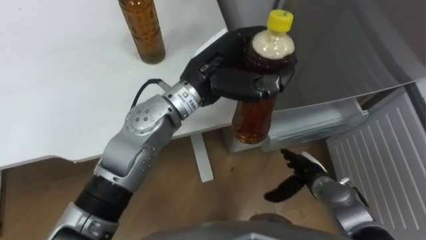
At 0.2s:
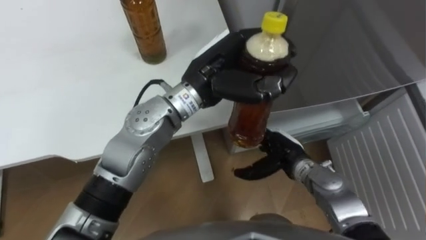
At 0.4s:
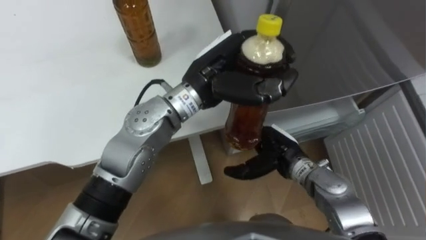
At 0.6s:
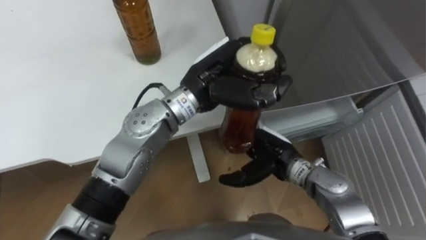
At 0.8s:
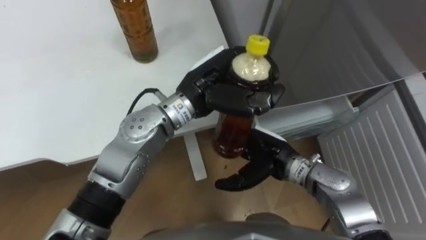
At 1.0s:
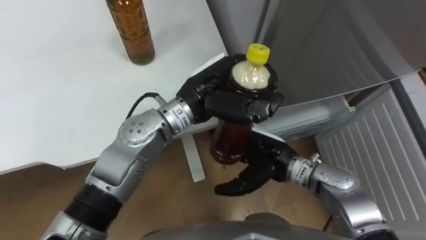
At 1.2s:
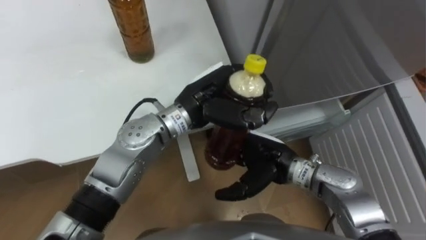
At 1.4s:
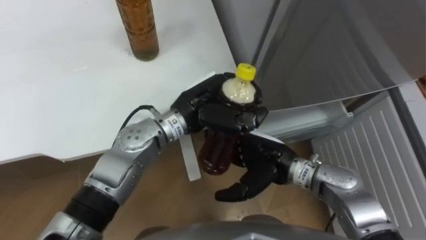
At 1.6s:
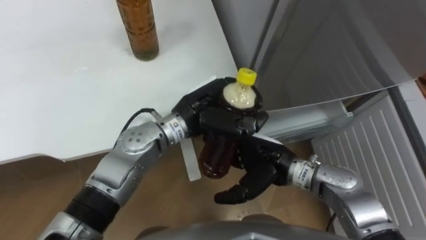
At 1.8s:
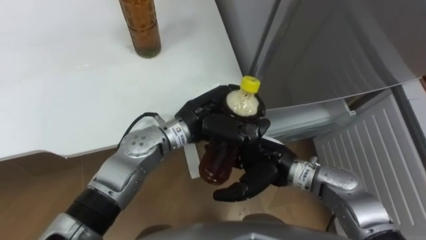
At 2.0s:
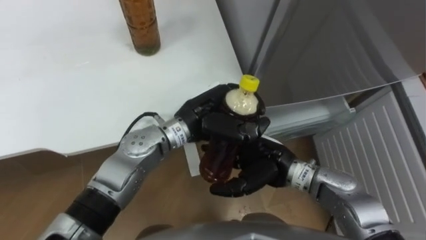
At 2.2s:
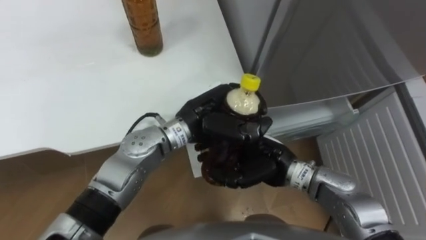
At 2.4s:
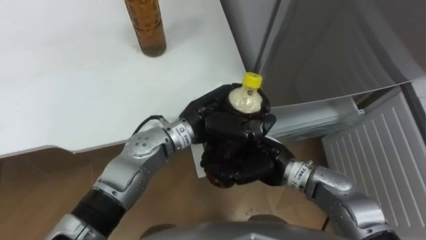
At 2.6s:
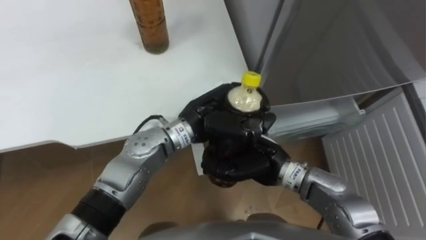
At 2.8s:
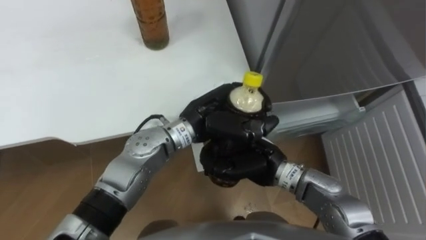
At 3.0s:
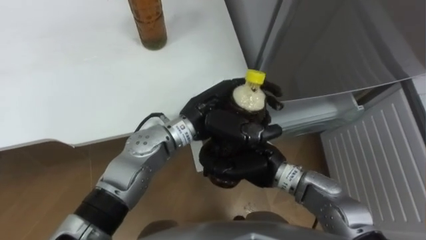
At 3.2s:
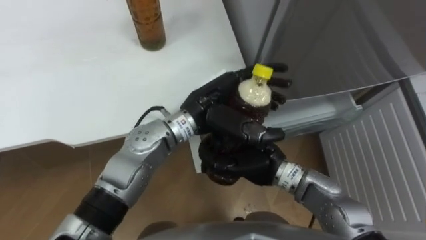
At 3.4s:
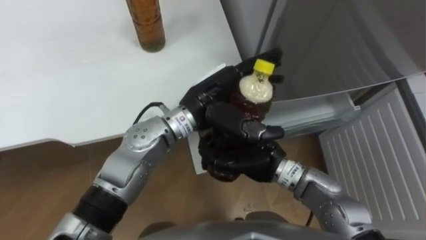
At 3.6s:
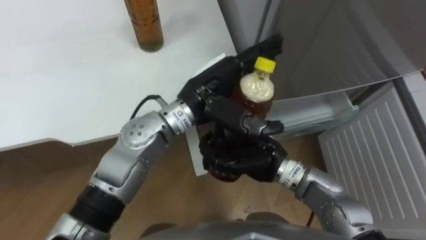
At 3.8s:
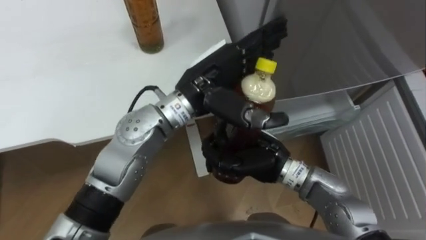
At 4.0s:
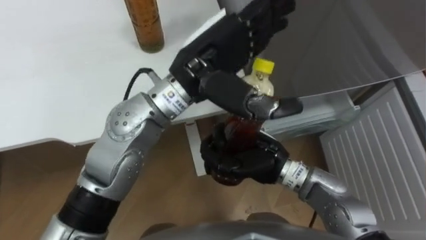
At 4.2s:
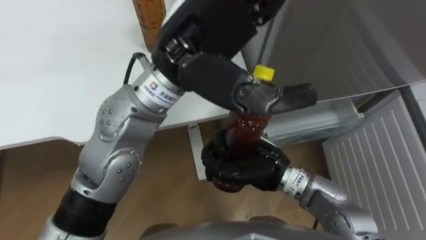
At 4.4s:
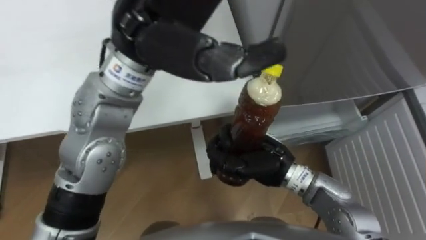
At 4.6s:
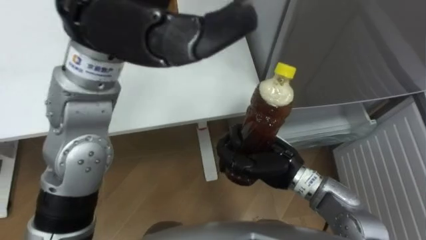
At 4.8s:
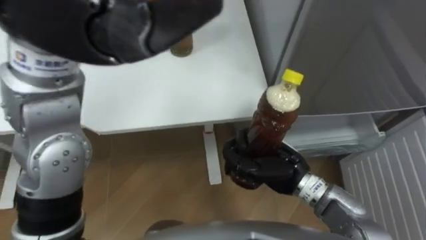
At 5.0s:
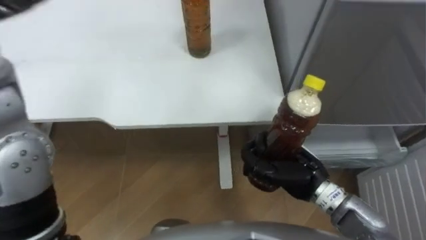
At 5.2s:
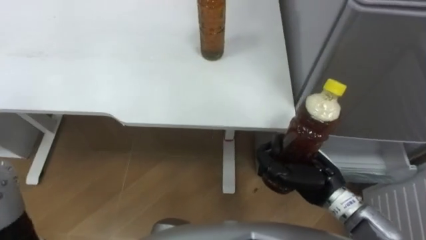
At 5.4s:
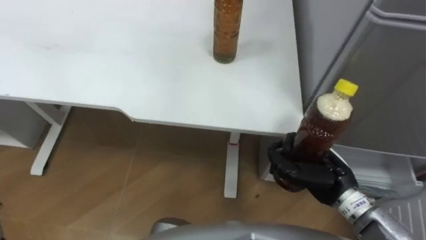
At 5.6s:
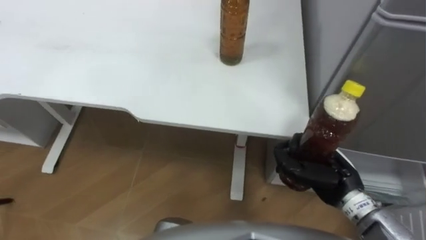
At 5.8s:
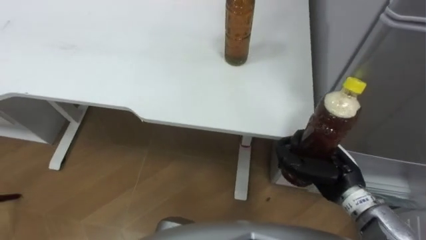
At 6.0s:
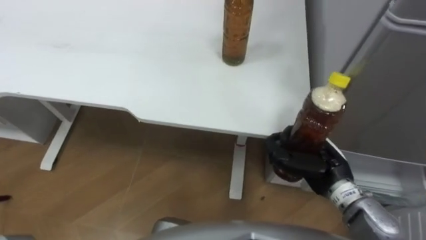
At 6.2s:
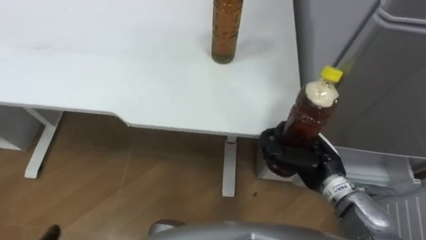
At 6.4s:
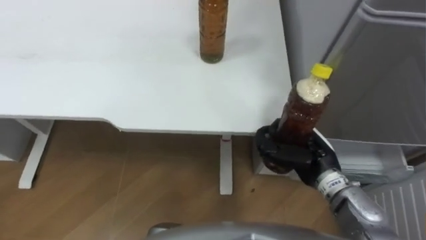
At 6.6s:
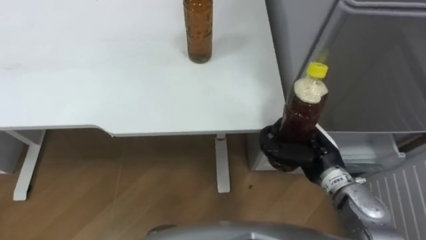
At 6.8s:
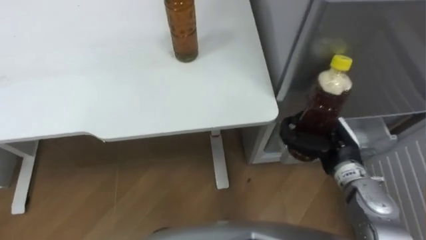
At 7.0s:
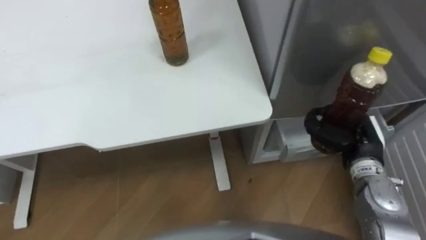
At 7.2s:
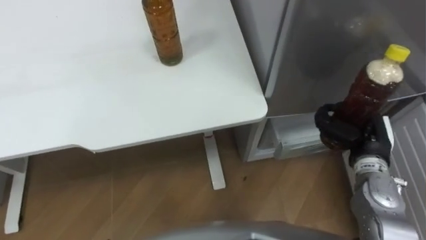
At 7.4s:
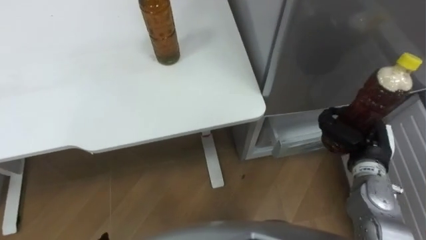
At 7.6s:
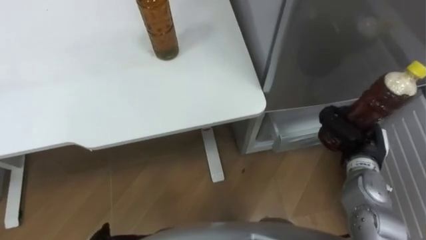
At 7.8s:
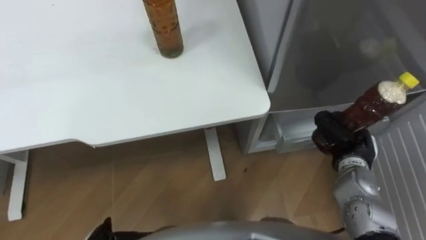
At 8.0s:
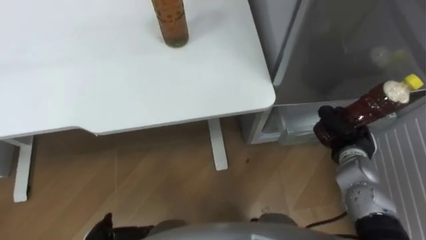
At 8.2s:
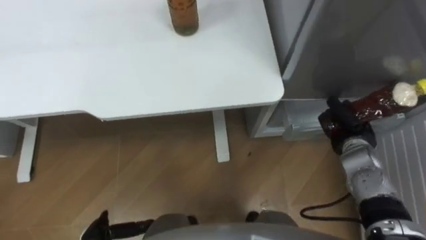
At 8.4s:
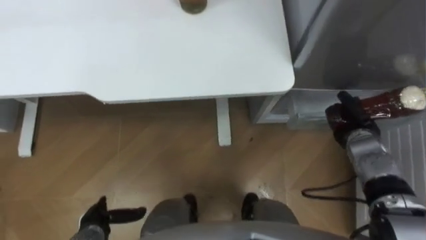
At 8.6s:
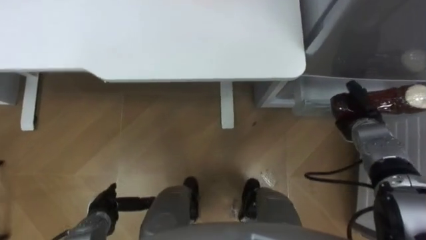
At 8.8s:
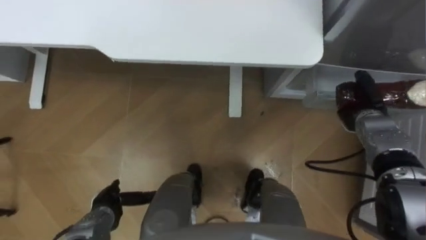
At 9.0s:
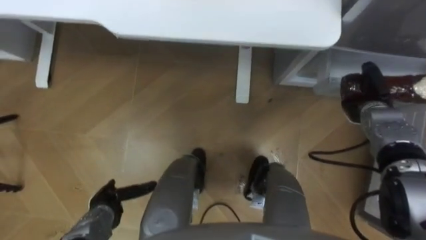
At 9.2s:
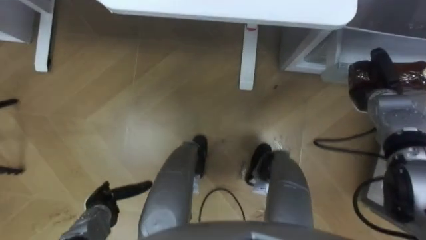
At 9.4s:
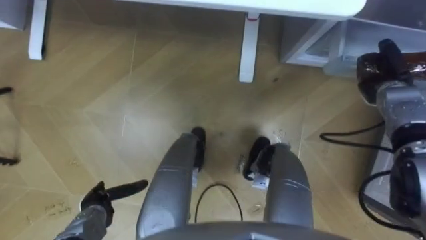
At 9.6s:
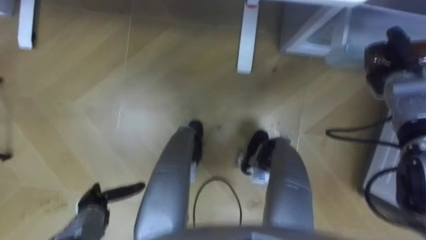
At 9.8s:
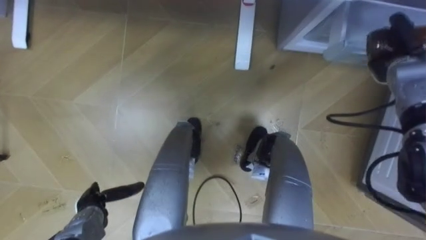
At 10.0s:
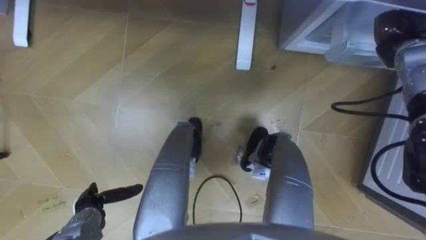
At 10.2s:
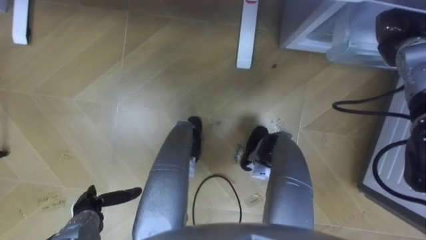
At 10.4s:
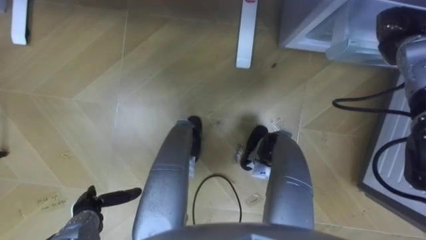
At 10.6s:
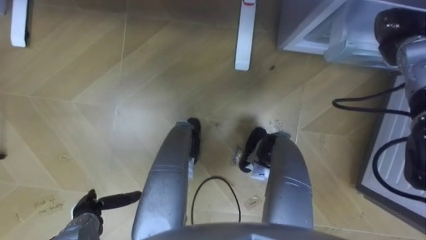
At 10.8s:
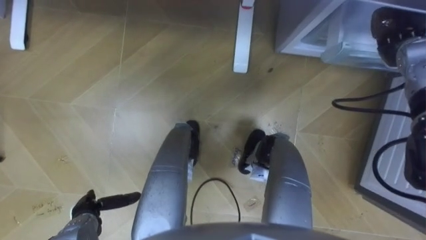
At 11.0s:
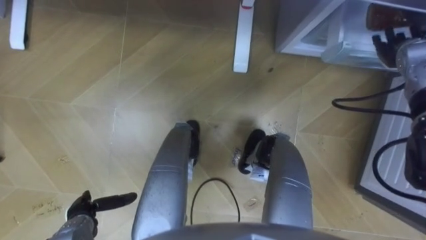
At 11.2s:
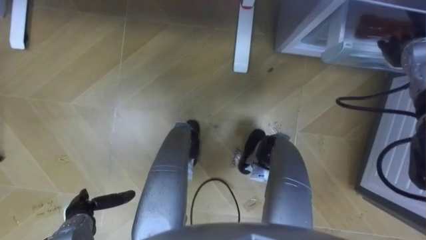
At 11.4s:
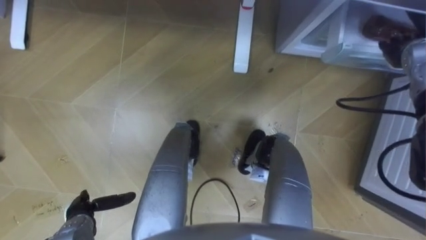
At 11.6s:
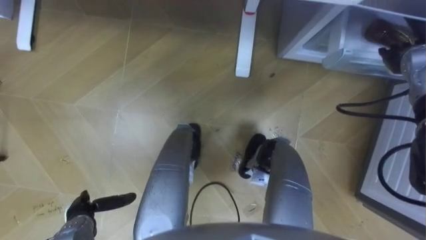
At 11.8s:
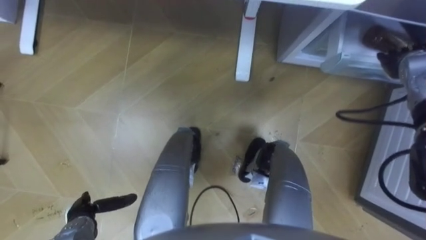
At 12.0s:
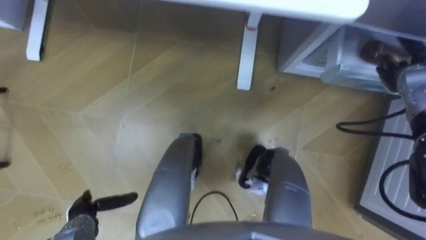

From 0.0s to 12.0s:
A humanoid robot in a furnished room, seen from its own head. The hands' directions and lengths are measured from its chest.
Task of the whole recording: Place the drink on the table on the bottom shelf of the refrigerator, then close the drawer and the refrigerator door.
From 0.0s to 1.6s: The right hand heads to the left and upward, covering some 15 cm; the left hand goes about 10 cm downward.
From 1.6s to 3.0s: The left hand opens its fingers; the right hand closes.
From 3.0s to 4.4s: The left hand is displaced upward by approximately 20 cm, and opens its fingers.
From 4.4s to 6.0s: The right hand moves to the right, some 10 cm.
From 6.0s to 7.6s: The right hand is displaced to the right by about 10 cm.
From 7.6s to 9.0s: The right hand moves forward, approximately 10 cm.
From 9.0s to 10.4s: The right hand is displaced upward and forward by about 15 cm.
From 10.4s to 12.0s: The right hand ends up about 5 cm from where it was, and opens.

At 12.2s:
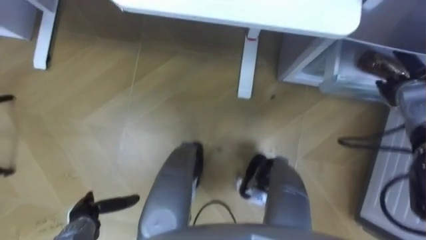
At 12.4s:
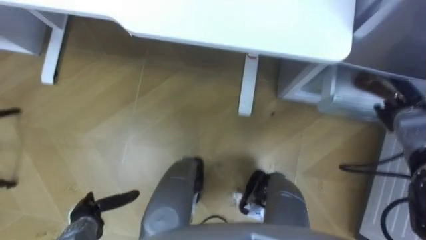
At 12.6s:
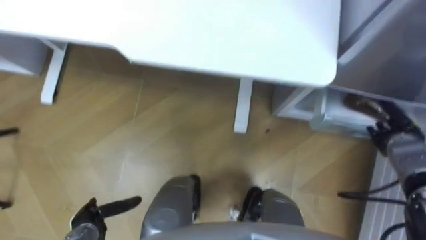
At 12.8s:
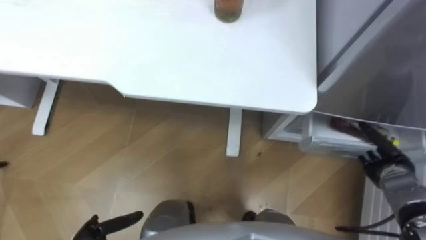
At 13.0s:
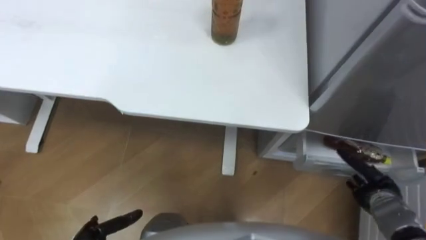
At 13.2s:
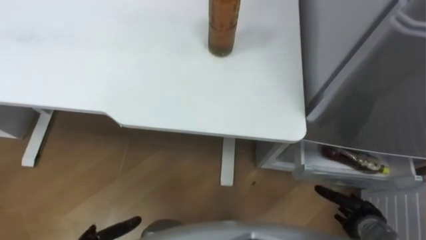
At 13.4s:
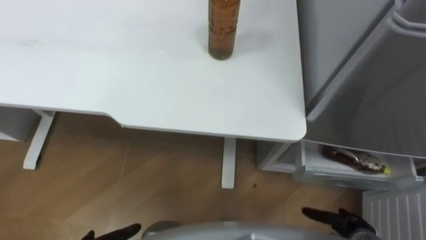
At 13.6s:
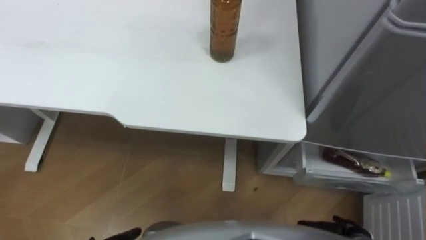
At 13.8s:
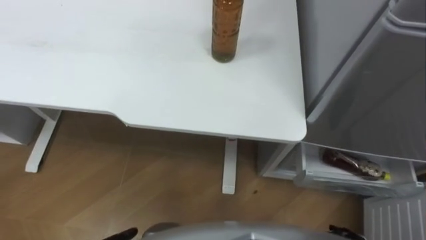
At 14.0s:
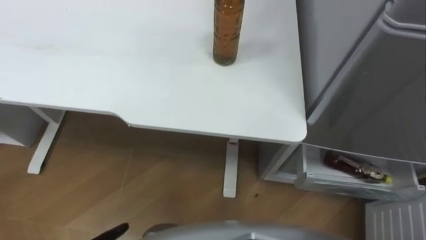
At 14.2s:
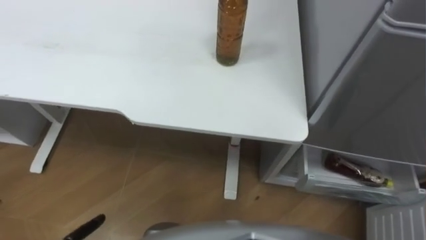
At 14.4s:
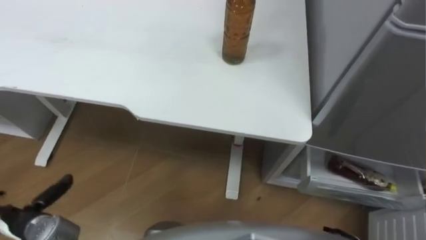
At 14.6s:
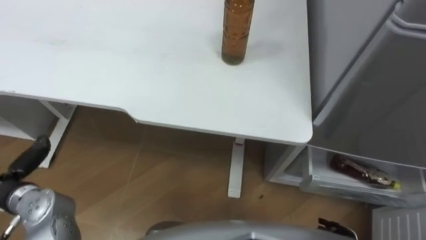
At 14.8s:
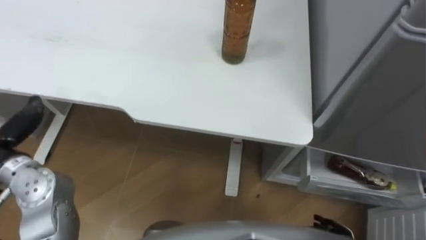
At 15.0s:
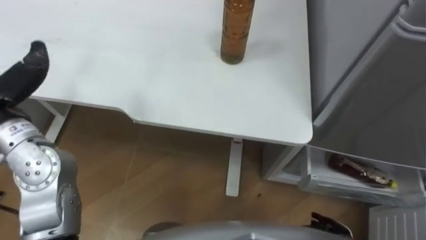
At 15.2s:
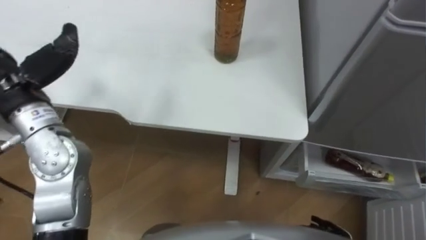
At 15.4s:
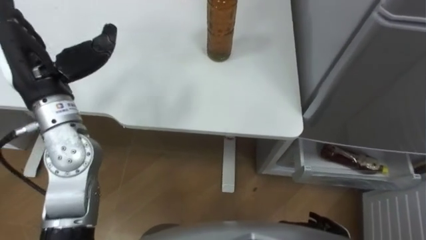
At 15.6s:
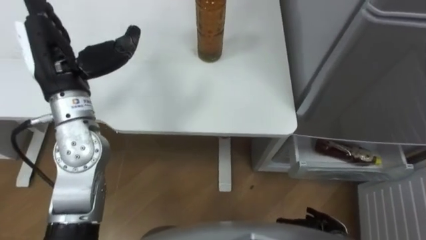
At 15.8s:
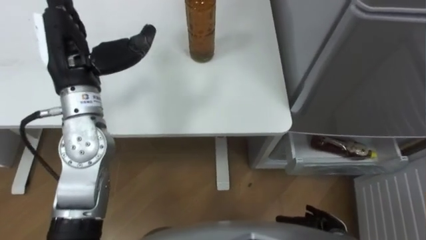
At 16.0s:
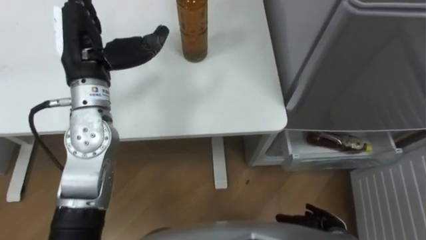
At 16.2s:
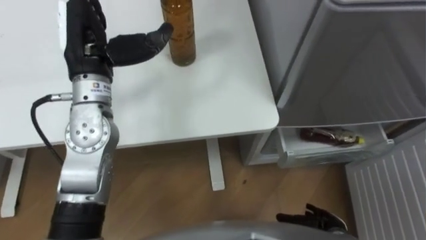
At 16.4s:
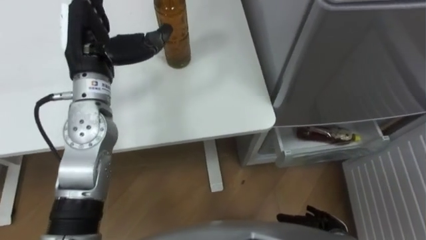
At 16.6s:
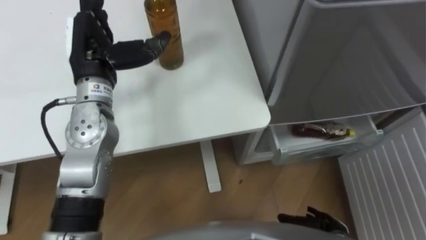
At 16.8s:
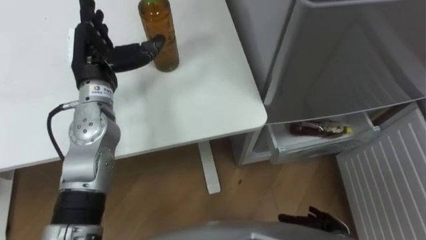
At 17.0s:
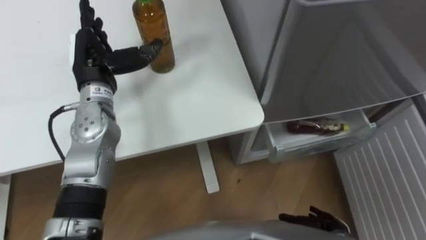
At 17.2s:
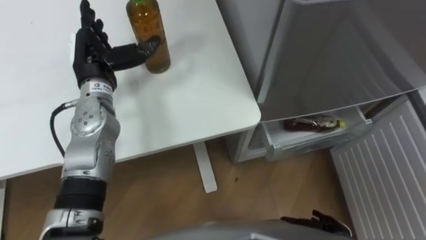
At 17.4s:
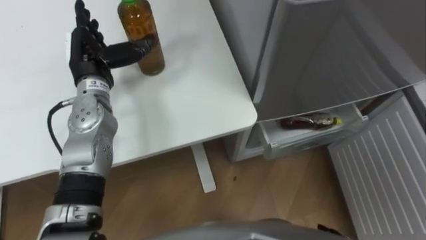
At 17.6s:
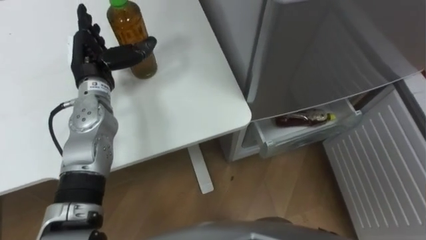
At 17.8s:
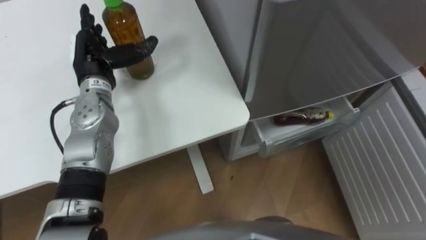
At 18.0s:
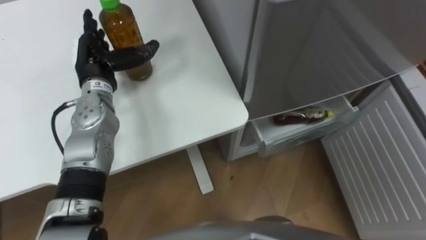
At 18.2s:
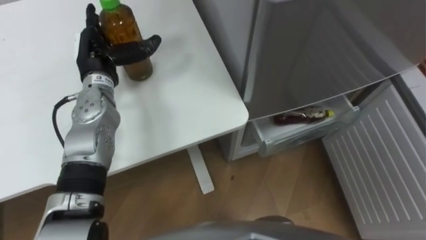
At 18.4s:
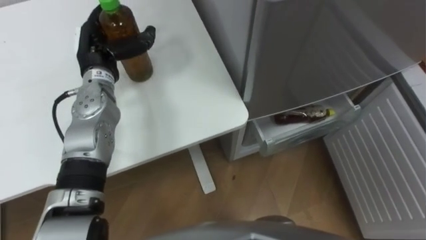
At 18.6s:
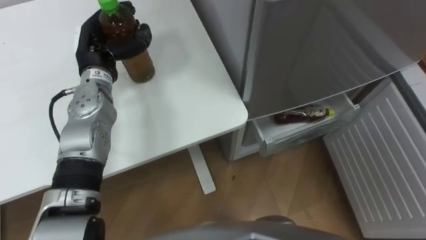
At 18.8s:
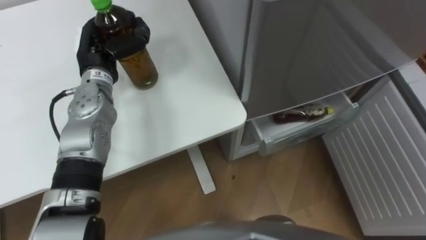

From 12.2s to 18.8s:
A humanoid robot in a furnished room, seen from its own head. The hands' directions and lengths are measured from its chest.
Task of the whole recording: Place the drink on the table on the bottom shelf of the refrigerator, then close the drawer and the refrigerator door.
From 15.4s to 17.2s: The left hand moves downward and forward, about 10 cm.
From 17.2s to 18.8s: The left hand closes up.
